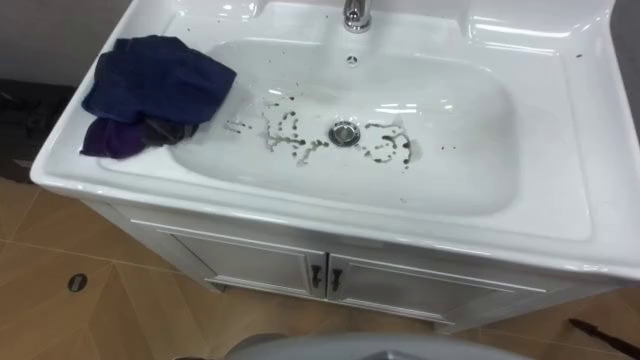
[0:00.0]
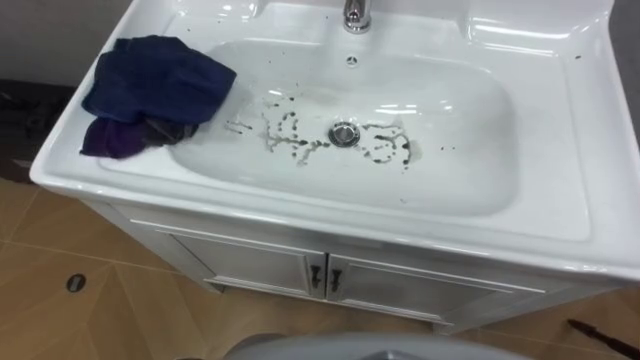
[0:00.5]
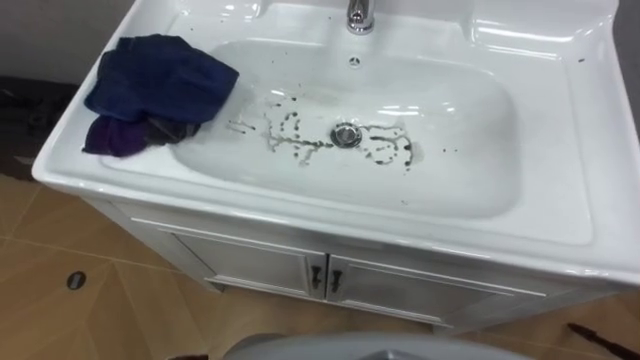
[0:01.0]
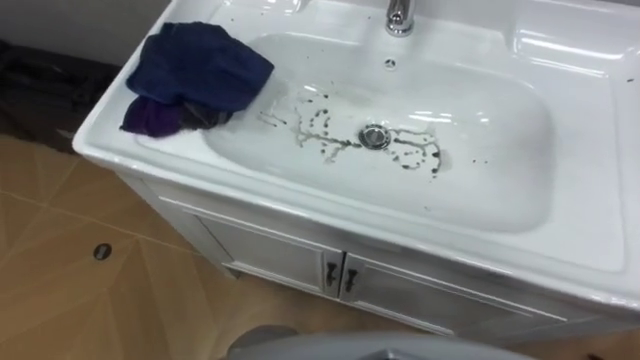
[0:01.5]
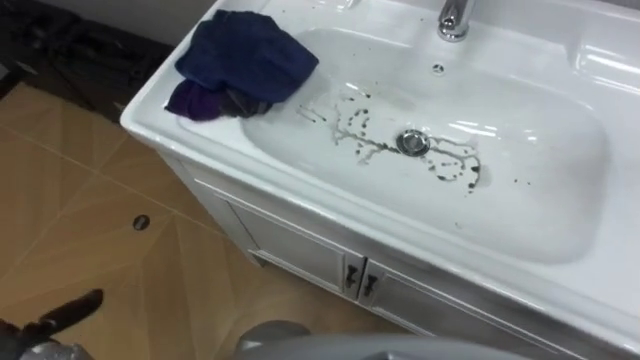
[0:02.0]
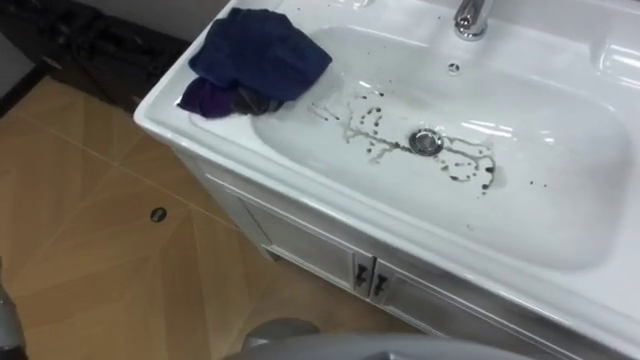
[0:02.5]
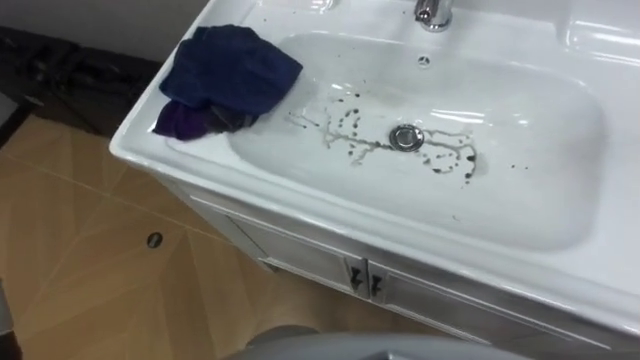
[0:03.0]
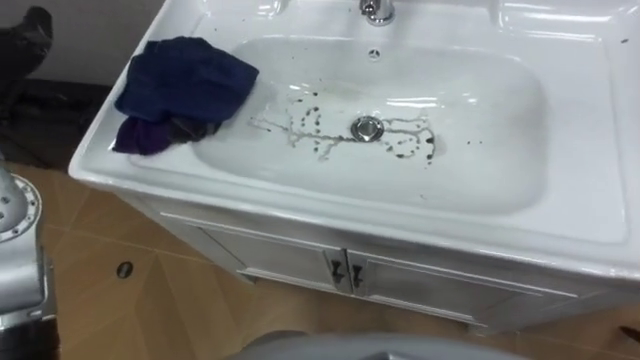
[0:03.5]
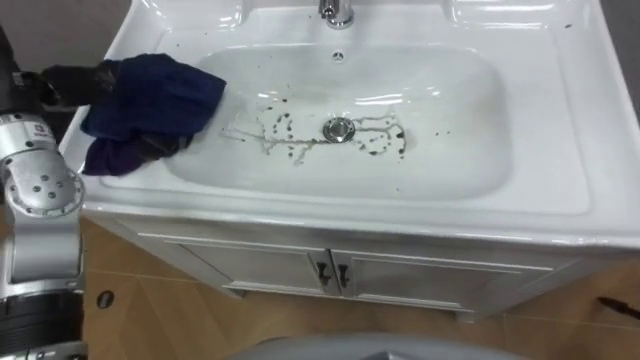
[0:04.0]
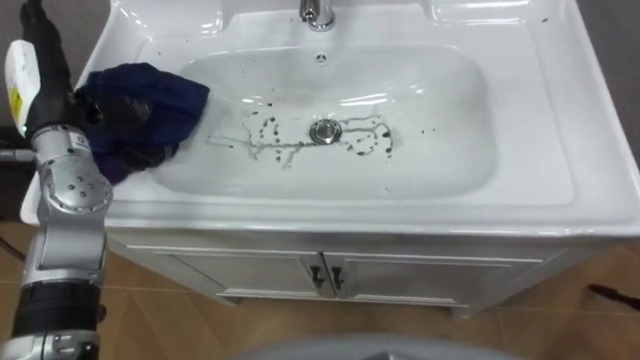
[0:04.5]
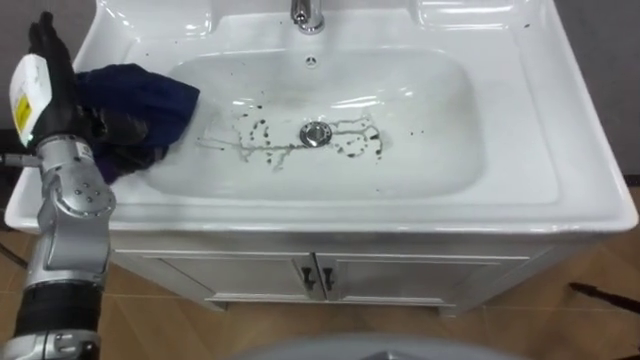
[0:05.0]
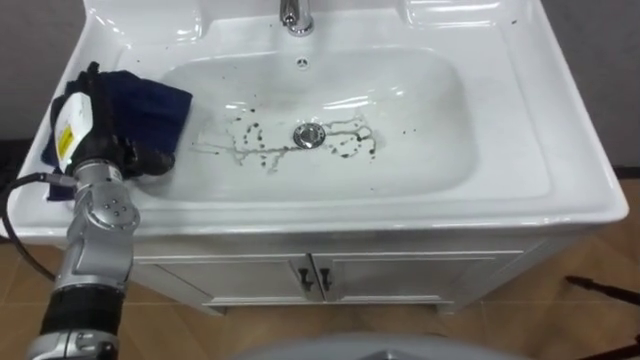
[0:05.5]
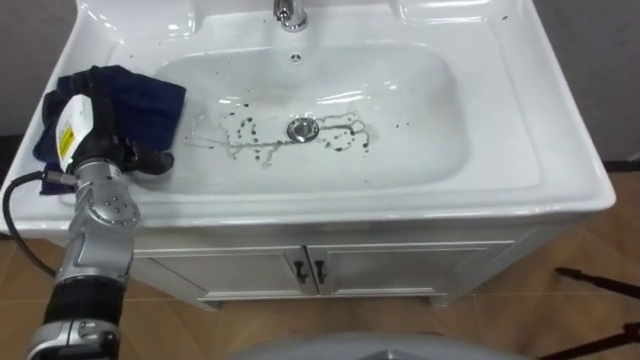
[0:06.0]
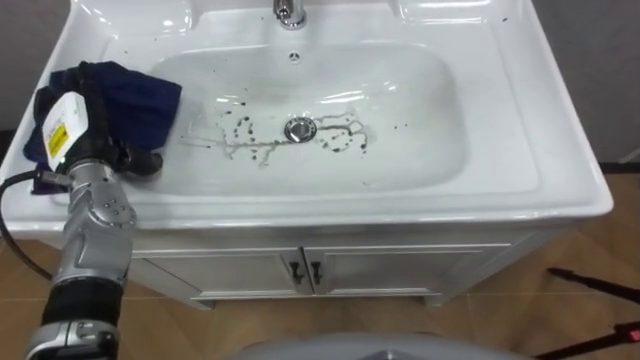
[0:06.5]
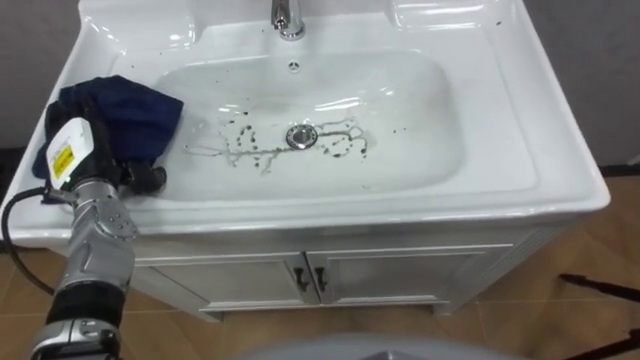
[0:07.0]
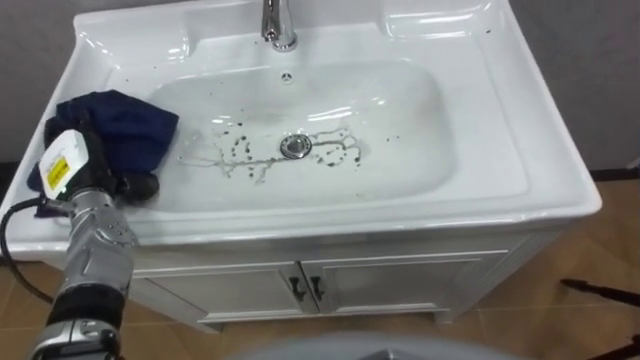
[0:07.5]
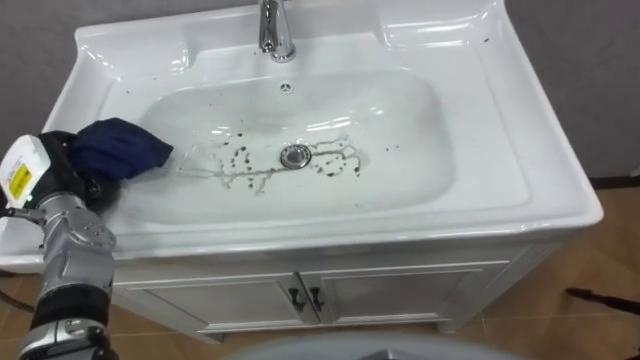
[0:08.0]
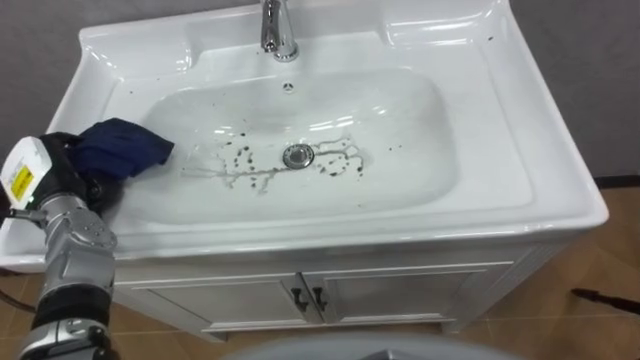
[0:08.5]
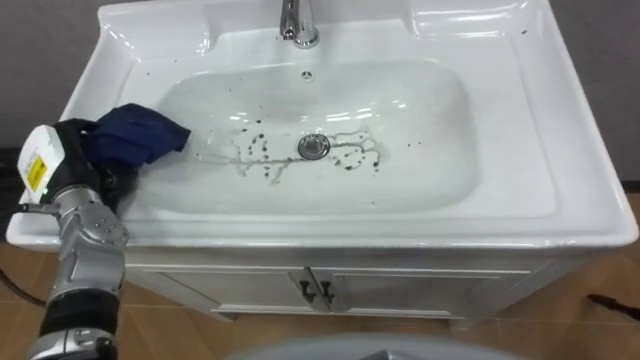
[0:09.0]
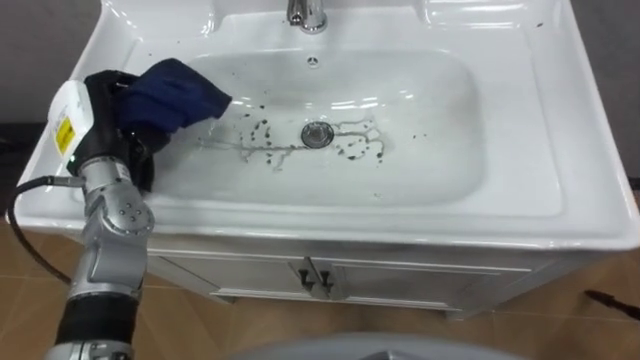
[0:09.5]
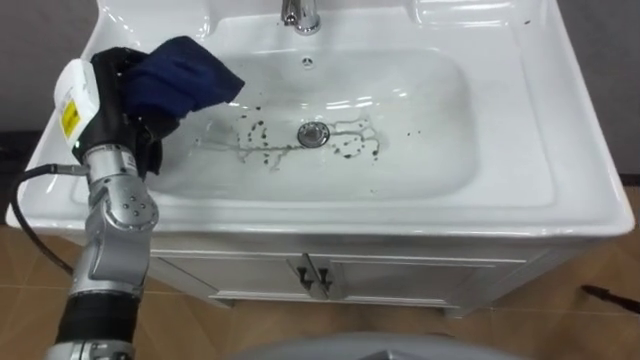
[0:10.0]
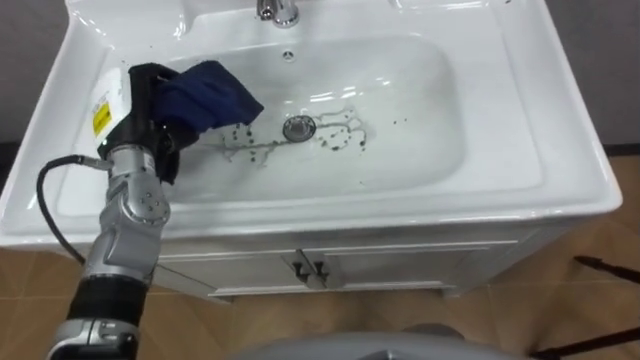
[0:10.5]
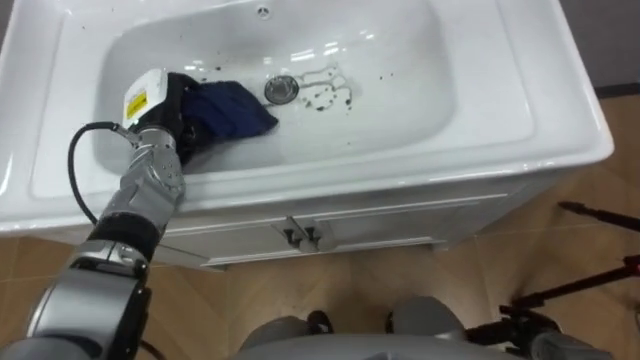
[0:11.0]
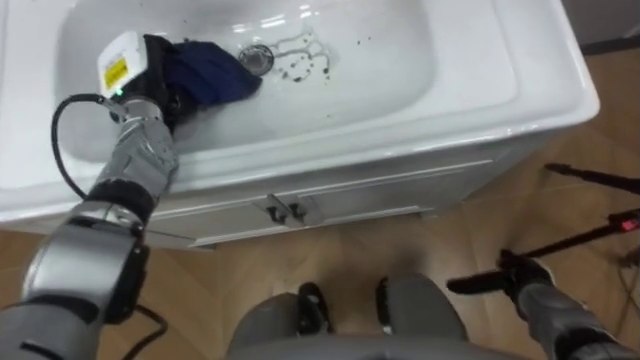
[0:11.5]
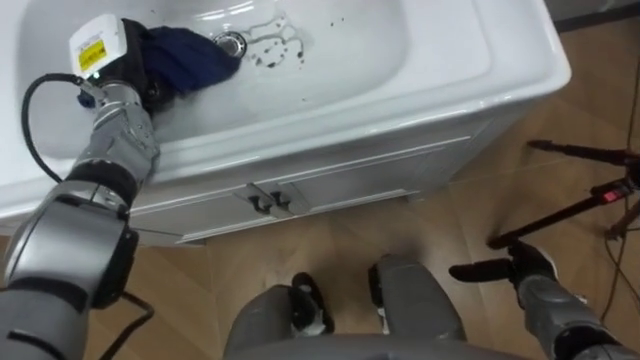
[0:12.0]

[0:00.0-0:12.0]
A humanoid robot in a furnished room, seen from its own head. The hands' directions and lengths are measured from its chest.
Task of the whole recording: Use the cloth on the right to wipe away the black stain in the sink.
0:06.0 to 0:08.0: The left hand heads to the left, covering approximately 5 cm, and closes its fingers.
0:08.0 to 0:10.0: The left hand heads to the right, upward and forward, covering about 15 cm.
0:10.0 to 0:12.0: The left hand moves forward, some 10 cm.

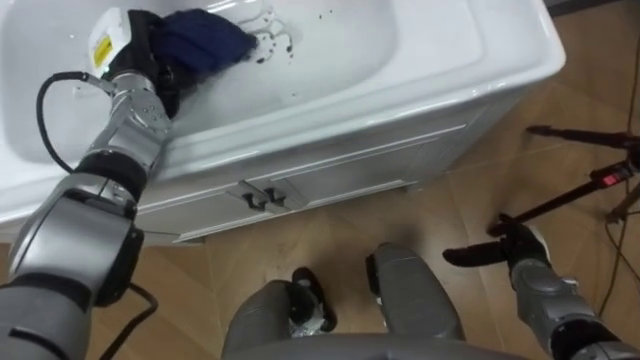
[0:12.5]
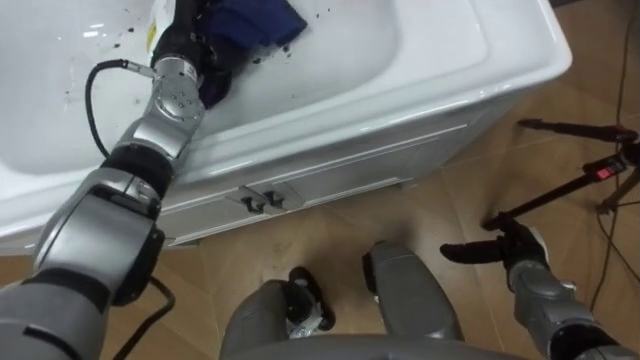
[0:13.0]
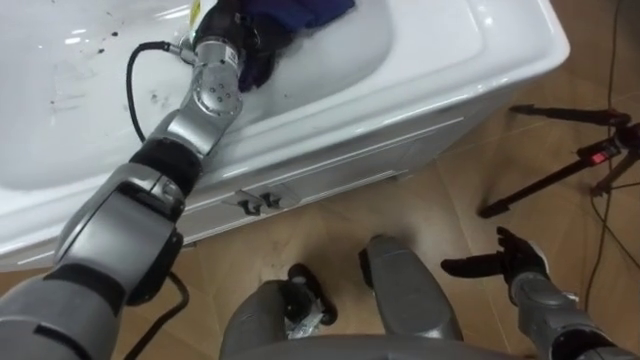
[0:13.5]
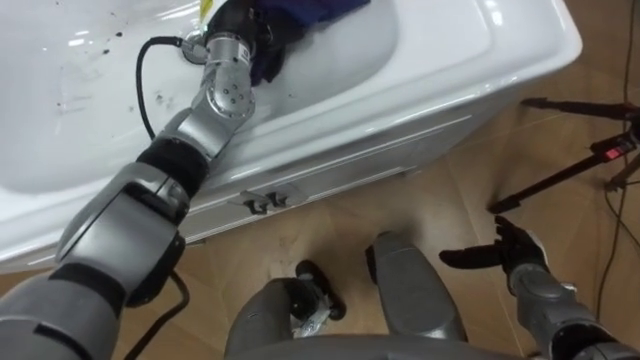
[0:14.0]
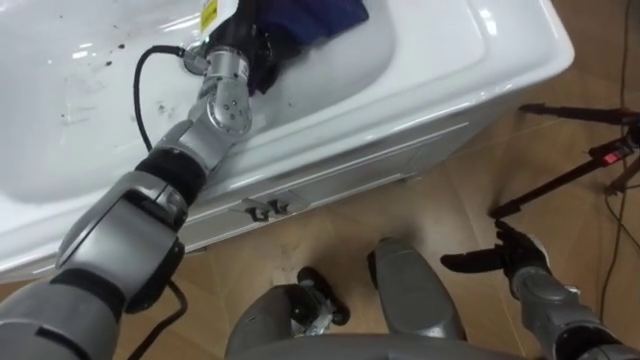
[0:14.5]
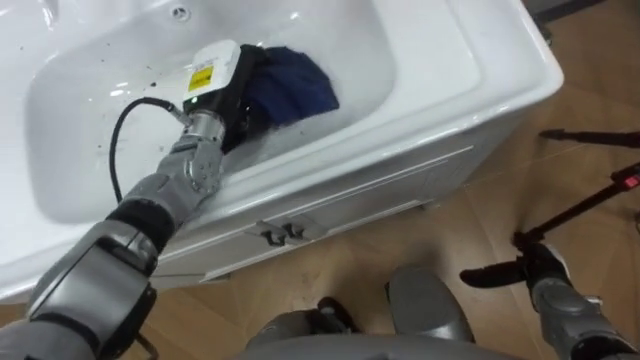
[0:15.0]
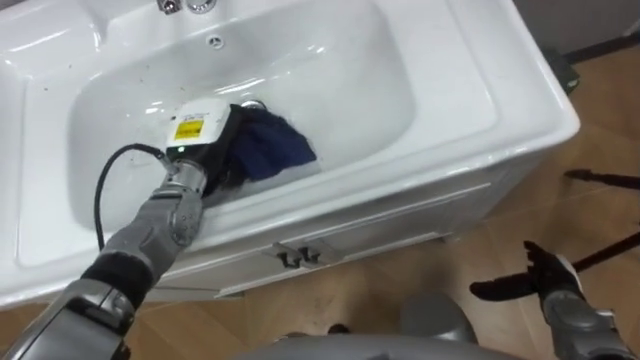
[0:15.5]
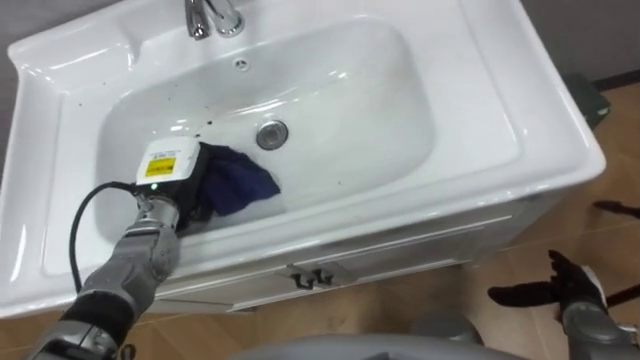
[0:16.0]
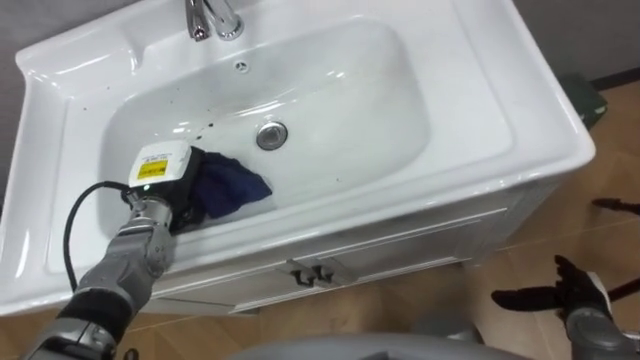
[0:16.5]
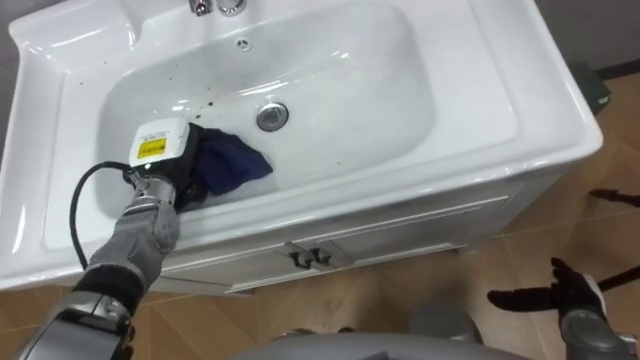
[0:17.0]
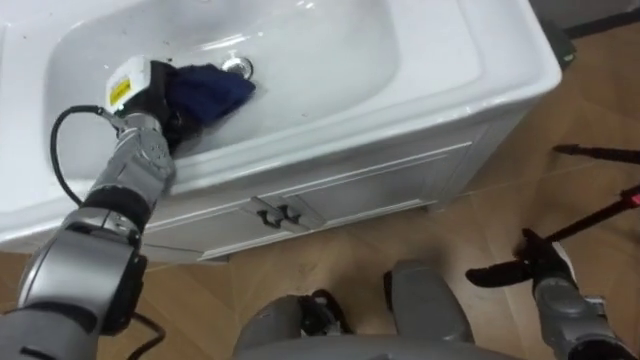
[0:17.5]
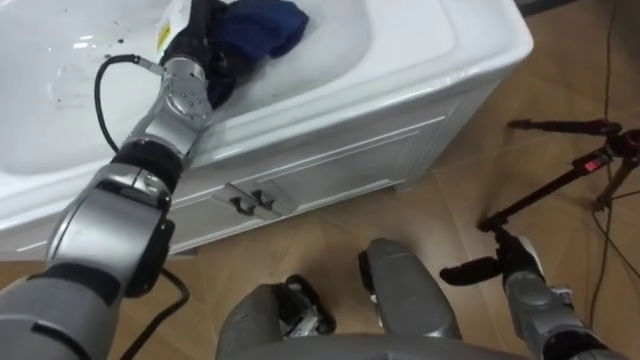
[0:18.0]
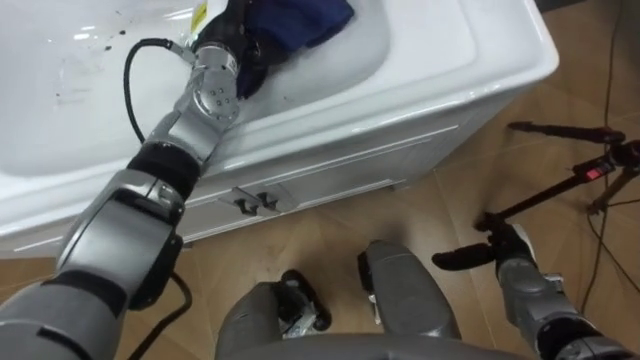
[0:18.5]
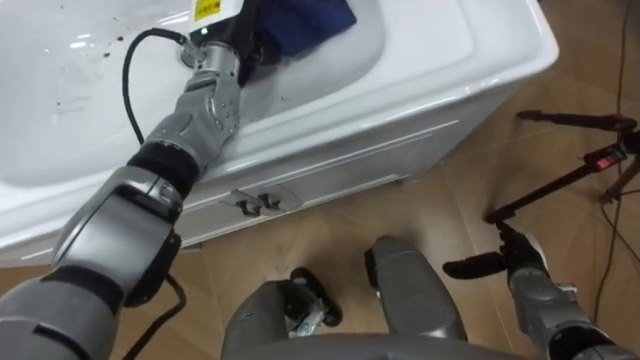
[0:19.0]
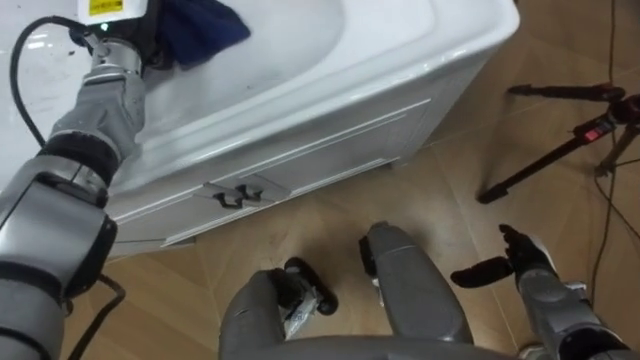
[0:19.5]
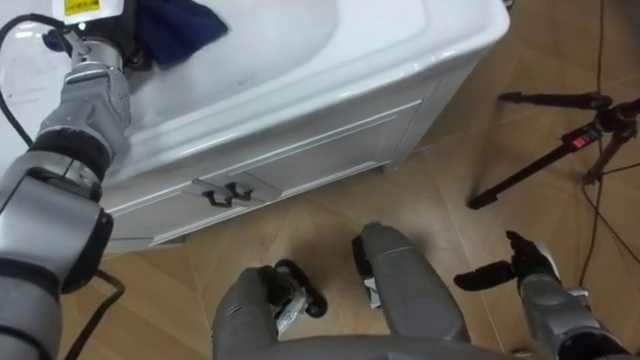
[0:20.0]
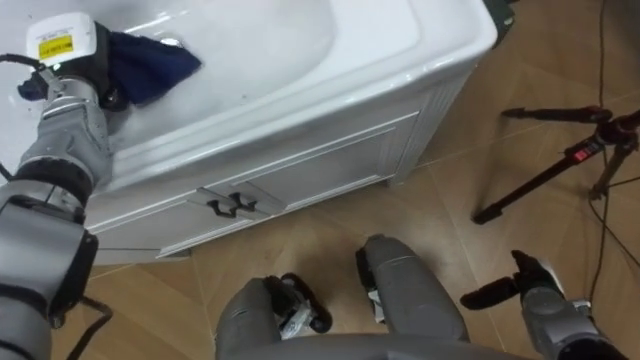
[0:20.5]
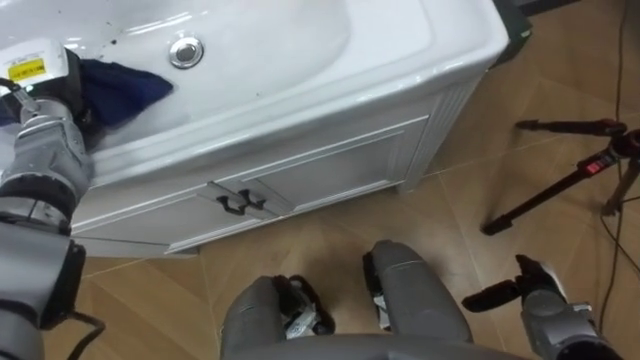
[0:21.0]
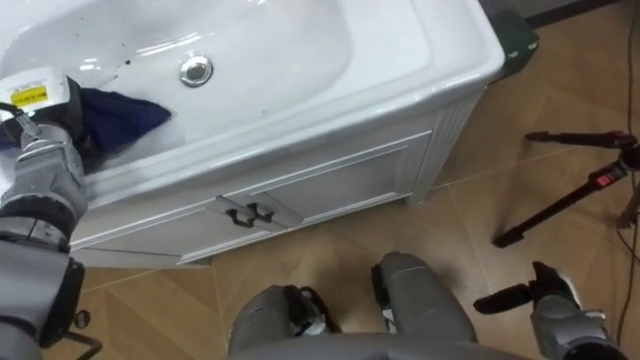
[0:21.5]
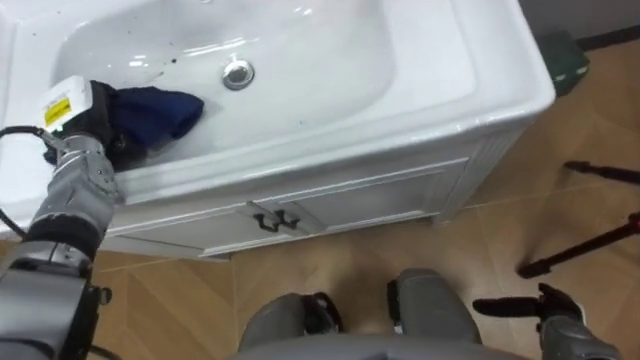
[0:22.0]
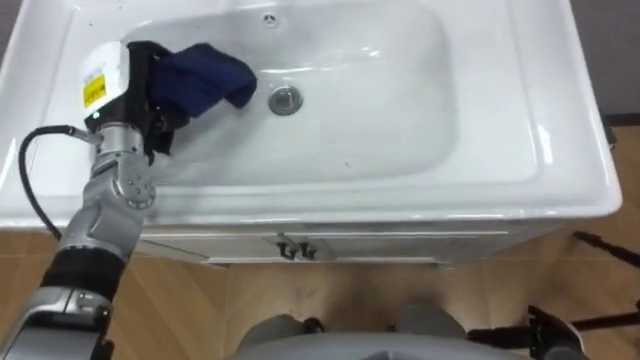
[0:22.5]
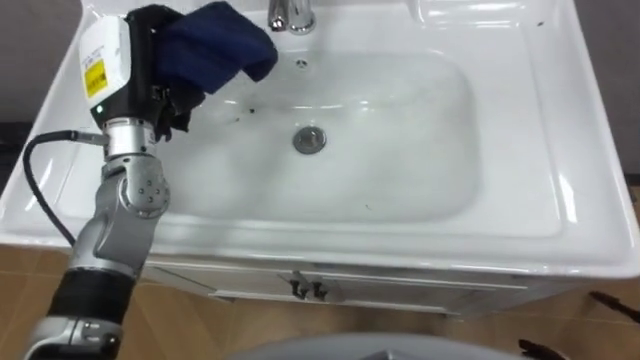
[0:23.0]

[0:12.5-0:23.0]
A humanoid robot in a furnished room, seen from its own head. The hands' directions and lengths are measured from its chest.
Task of the whole recording: Use the cloth on the right to wipe away the black stain in the sink.
0:12.5 to 0:14.5: The left hand shifts approximately 15 cm to the right.
0:14.5 to 0:16.5: The left hand goes roughly 25 cm downward, backward and to the left, while the right hand travels to the right and backward by some 10 cm.
0:16.5 to 0:19.0: The left hand goes about 25 cm upward, forward and to the right. The right hand moves to the left and forward, approximately 10 cm.
0:19.0 to 0:21.0: The left hand moves to the left, roughly 25 cm.
0:21.0 to 0:23.0: The left hand moves to the right and upward, about 15 cm.
